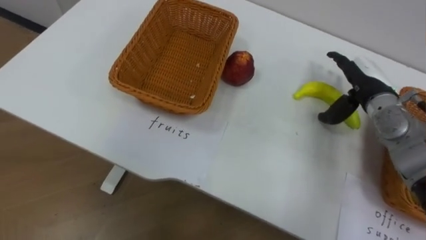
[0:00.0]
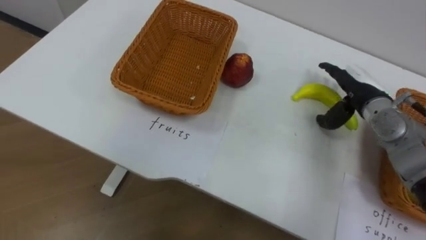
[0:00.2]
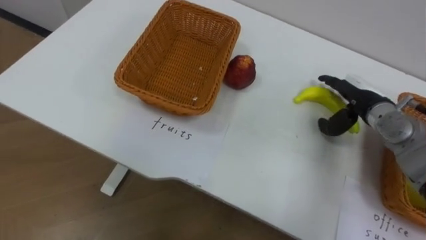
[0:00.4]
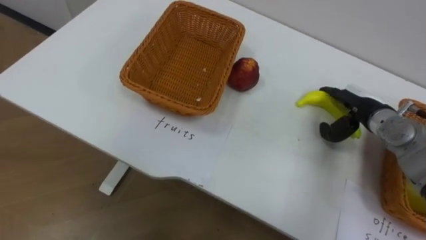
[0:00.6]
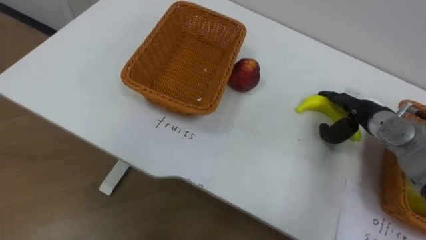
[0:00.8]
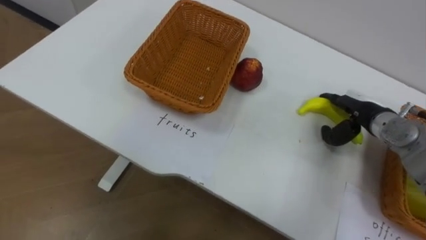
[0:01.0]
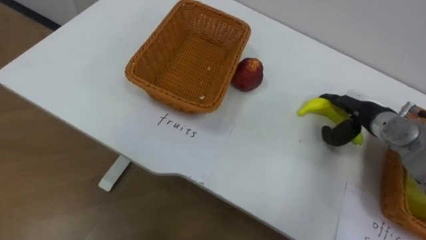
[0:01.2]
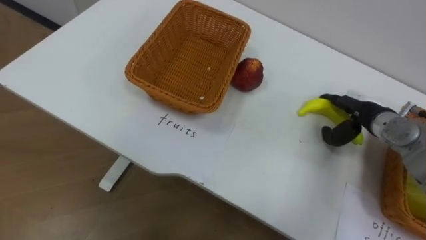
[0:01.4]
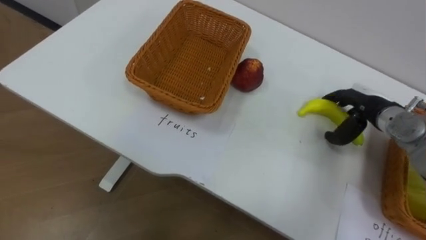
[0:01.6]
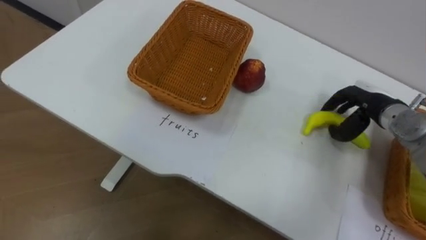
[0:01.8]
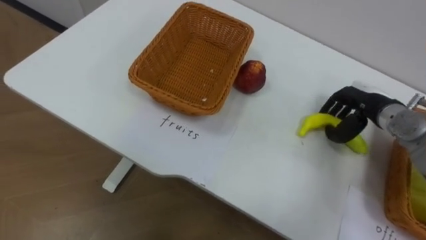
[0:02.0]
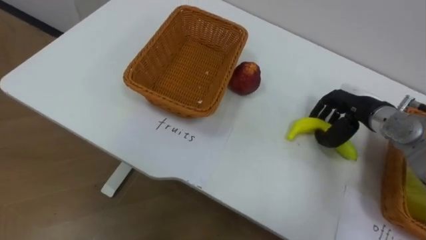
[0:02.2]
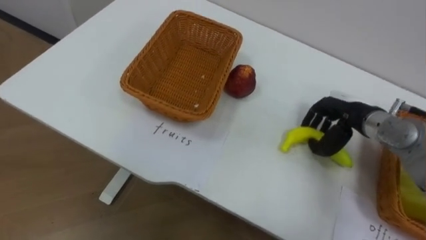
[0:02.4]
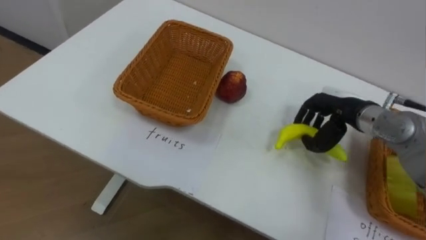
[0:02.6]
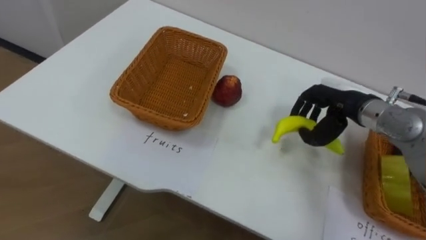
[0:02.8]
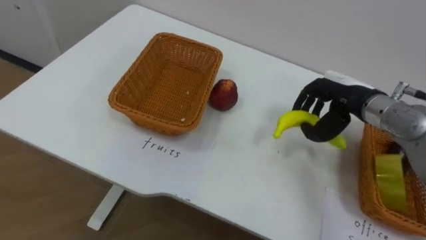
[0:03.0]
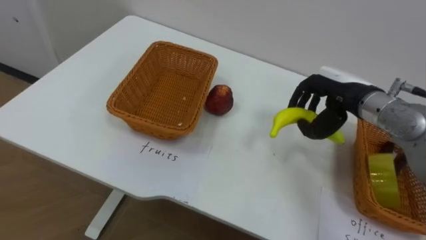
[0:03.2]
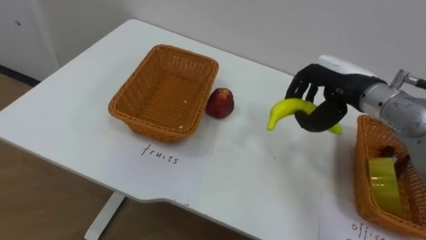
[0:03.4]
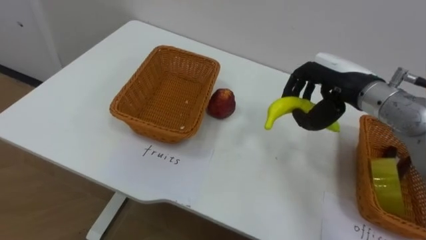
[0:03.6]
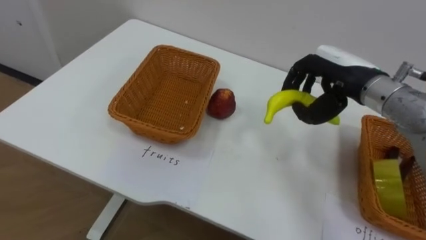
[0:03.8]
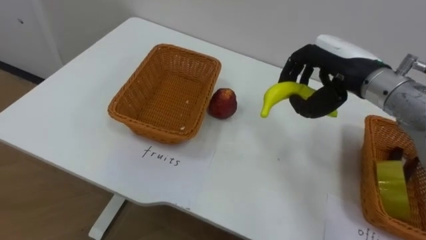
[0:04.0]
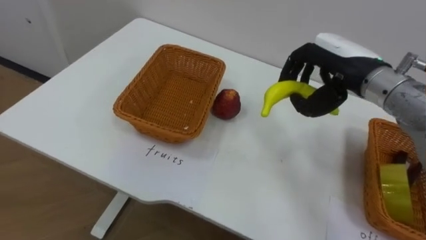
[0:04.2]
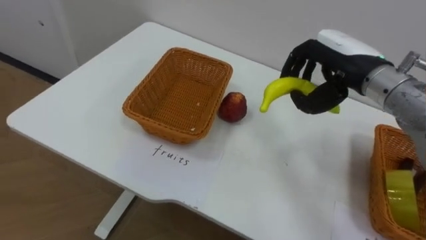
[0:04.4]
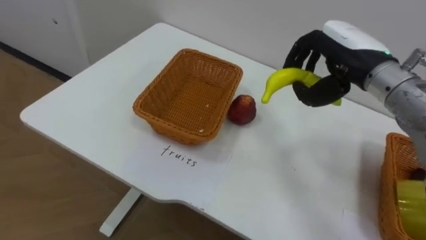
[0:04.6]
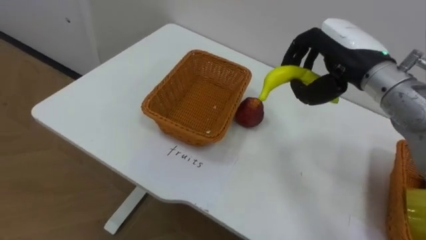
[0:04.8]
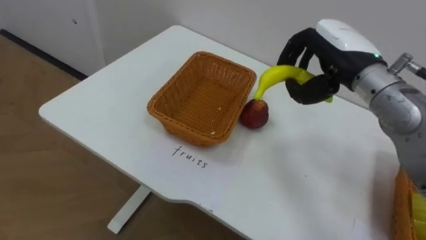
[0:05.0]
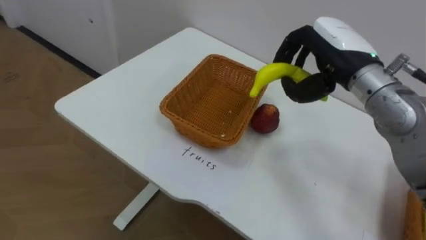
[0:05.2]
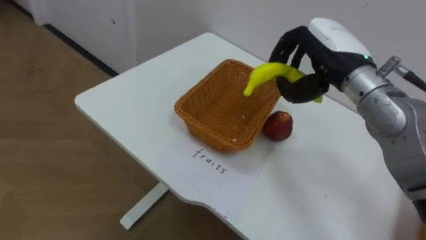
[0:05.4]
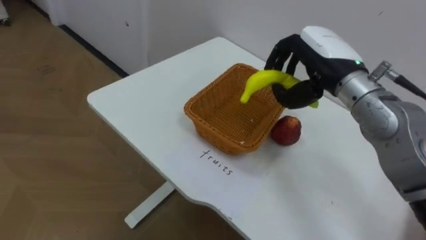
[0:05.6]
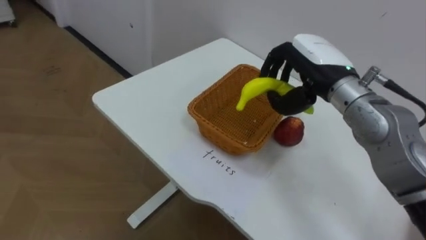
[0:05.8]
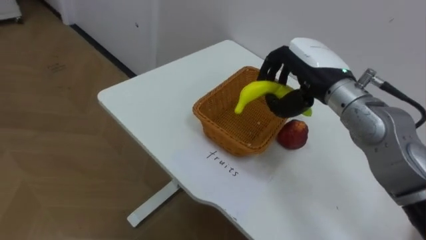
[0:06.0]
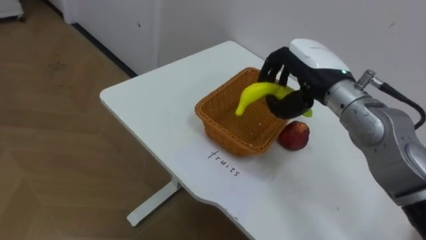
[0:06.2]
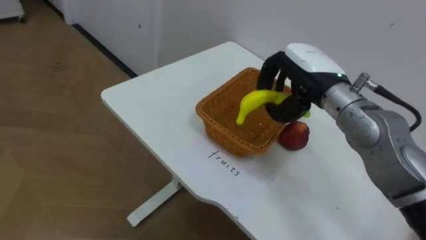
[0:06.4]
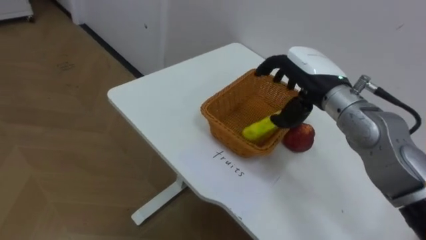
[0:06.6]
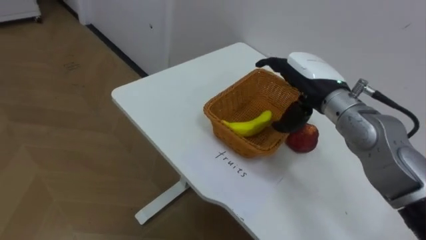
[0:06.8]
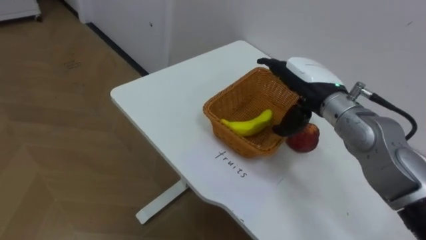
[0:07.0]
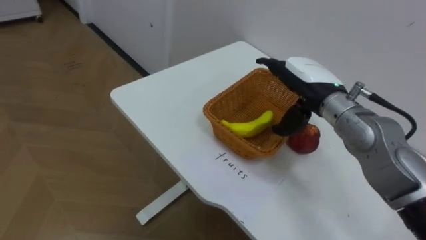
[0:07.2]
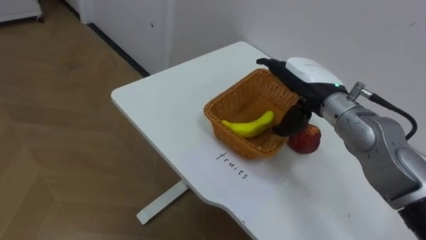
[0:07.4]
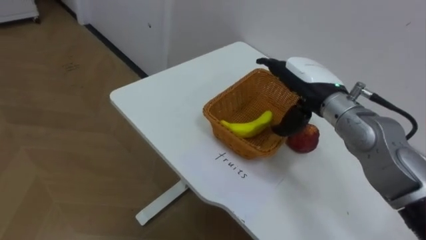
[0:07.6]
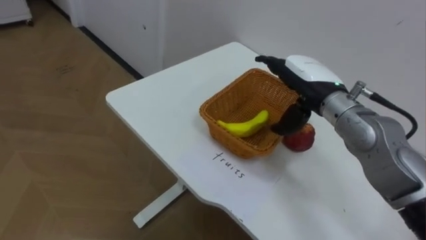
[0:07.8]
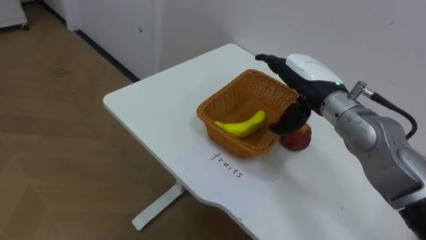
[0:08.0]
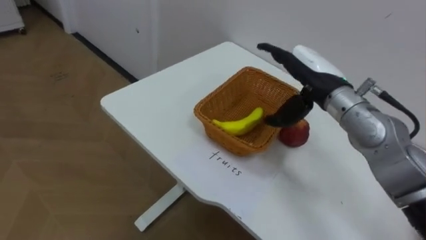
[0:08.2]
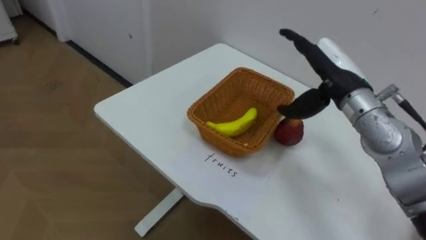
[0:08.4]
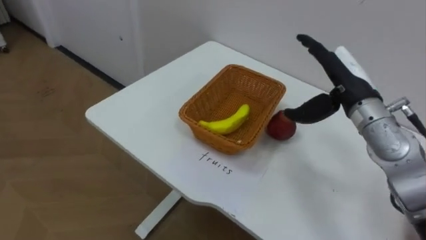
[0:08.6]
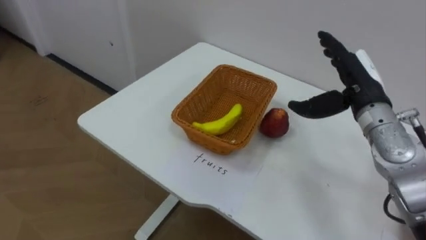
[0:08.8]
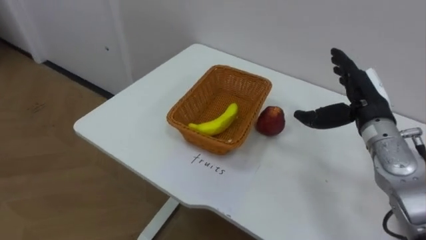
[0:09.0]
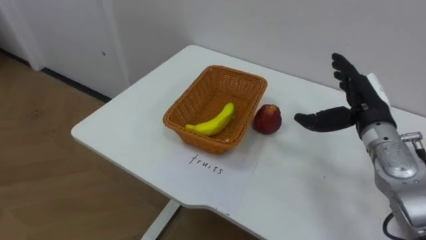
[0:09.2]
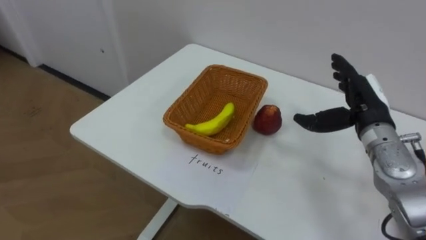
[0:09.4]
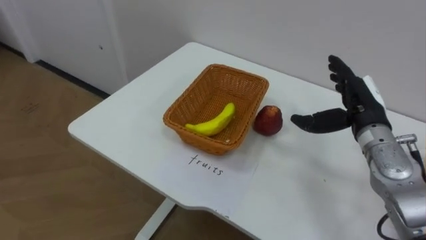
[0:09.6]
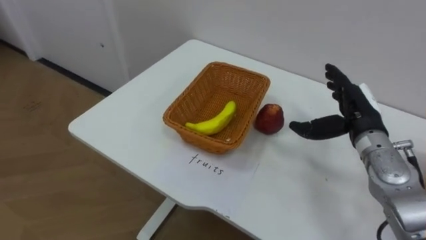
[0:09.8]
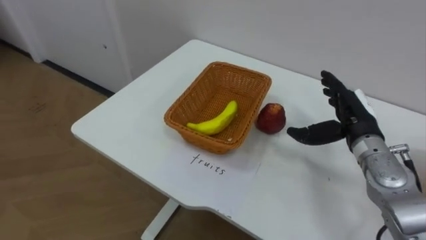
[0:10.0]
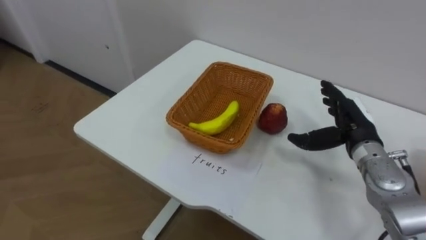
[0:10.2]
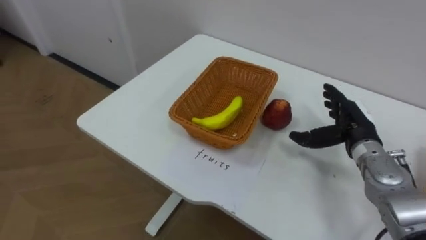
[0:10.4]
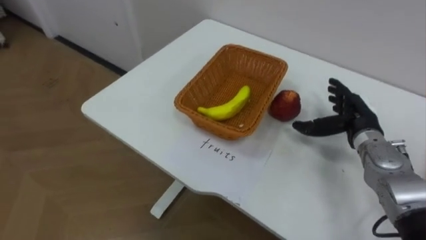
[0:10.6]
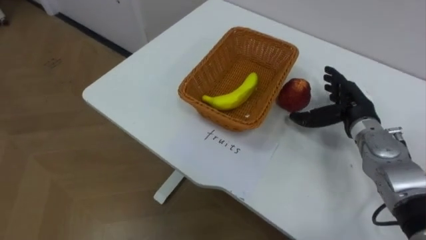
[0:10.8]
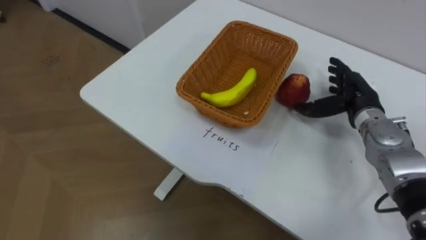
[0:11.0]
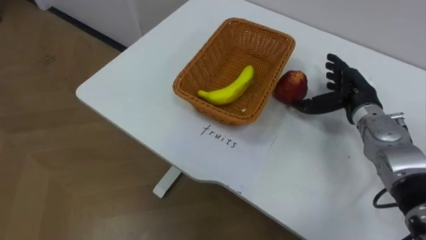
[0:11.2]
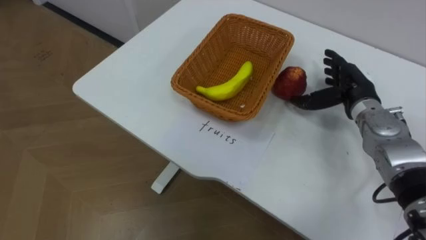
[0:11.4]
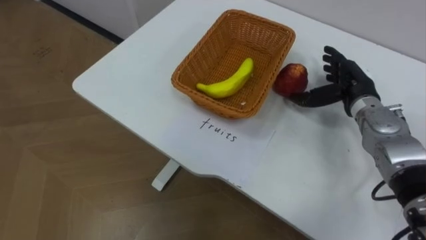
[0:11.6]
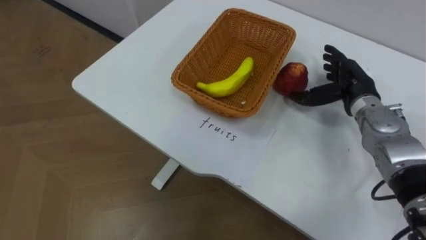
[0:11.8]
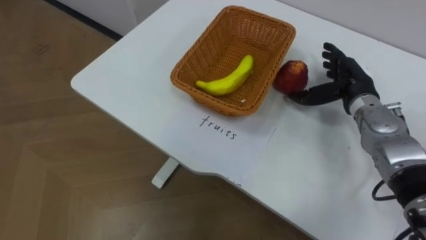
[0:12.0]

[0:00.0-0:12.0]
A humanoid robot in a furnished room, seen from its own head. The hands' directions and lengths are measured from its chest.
Task of the whole recording: Separate the items on the table and place them into the two baskets.
0:00.0 to 0:01.6: The right hand ends up some 5 cm from where it was.
0:01.6 to 0:03.0: The right hand moves to the left and upward, roughly 10 cm, and closes.
0:03.0 to 0:04.4: The right hand shifts approximately 10 cm upward.
0:06.0 to 0:07.6: The right hand opens up.
0:07.6 to 0:09.0: The right hand is displaced to the right by approximately 10 cm.
0:09.0 to 0:10.4: The right hand heads downward, covering approximately 5 cm.
0:10.4 to 0:12.0: The right hand travels forward by approximately 5 cm.

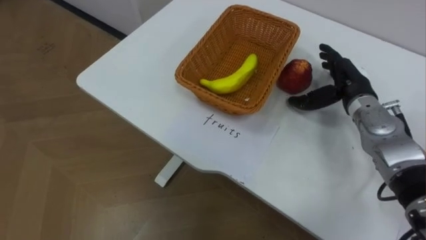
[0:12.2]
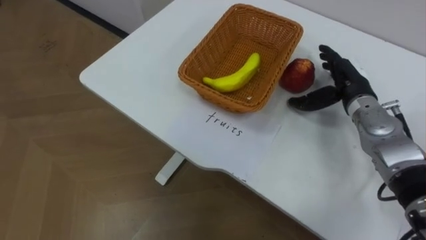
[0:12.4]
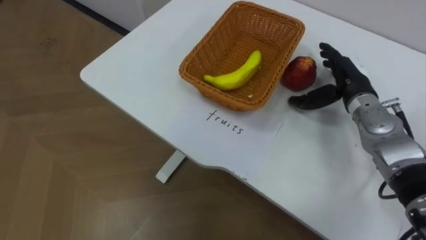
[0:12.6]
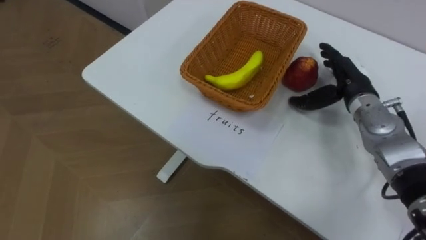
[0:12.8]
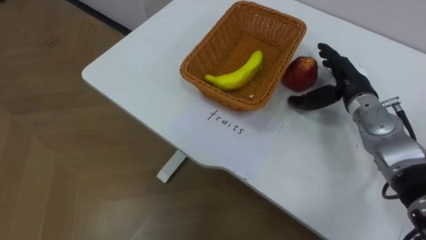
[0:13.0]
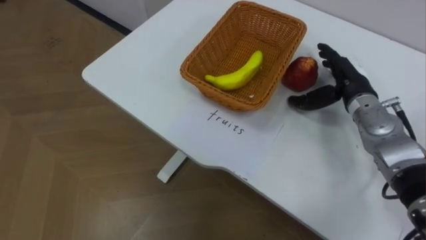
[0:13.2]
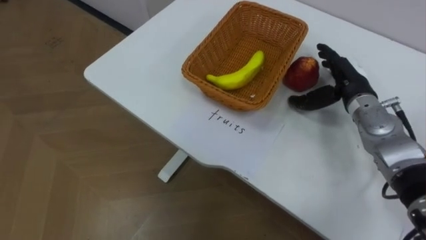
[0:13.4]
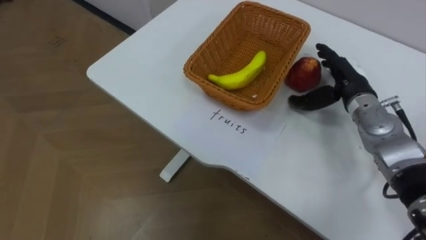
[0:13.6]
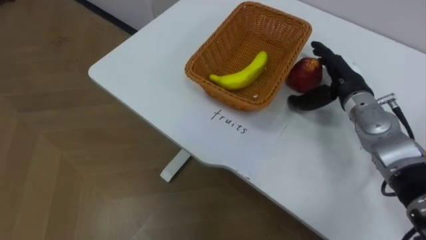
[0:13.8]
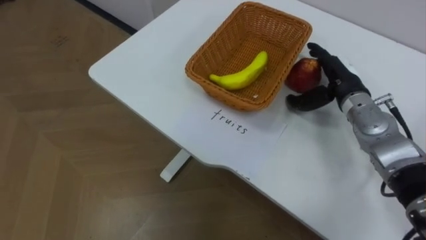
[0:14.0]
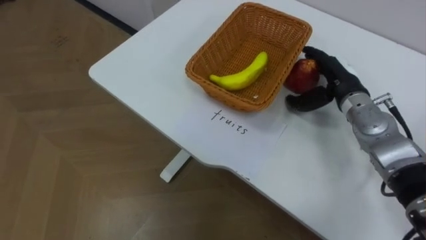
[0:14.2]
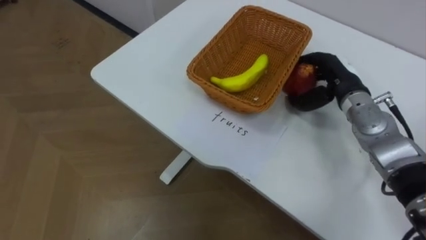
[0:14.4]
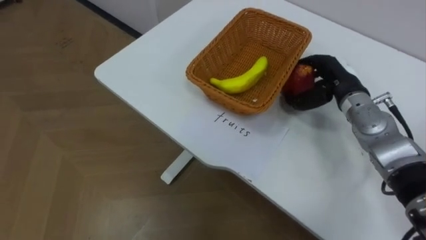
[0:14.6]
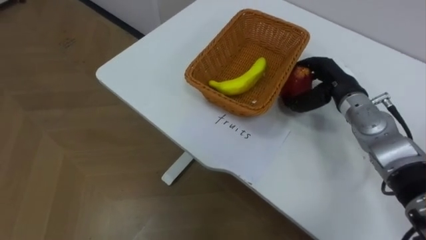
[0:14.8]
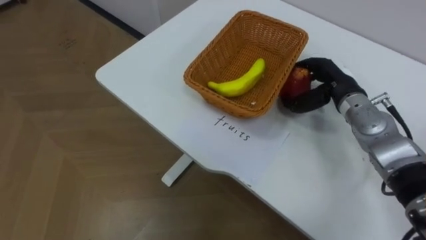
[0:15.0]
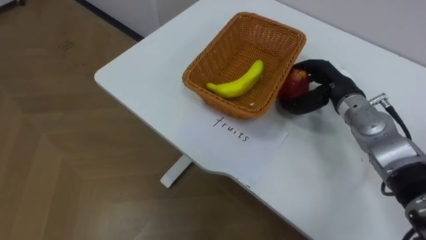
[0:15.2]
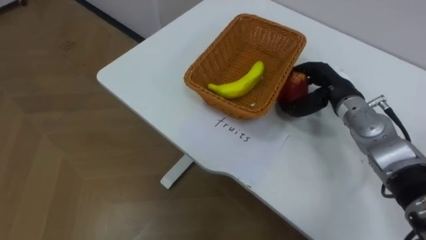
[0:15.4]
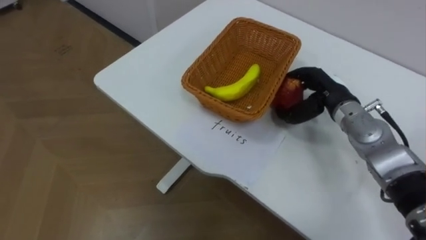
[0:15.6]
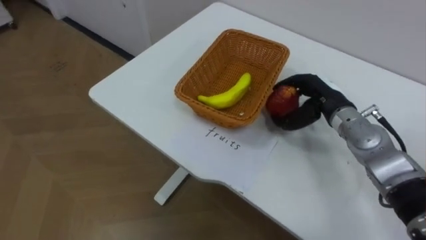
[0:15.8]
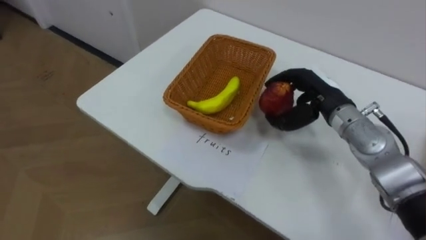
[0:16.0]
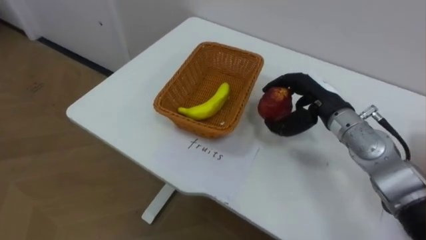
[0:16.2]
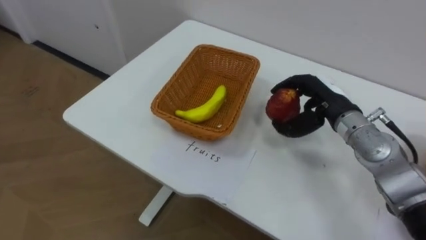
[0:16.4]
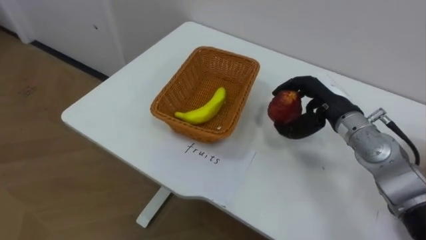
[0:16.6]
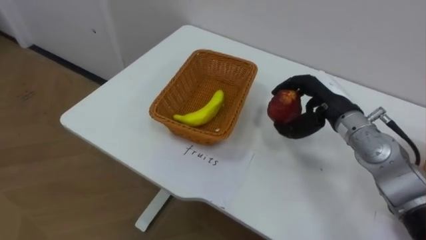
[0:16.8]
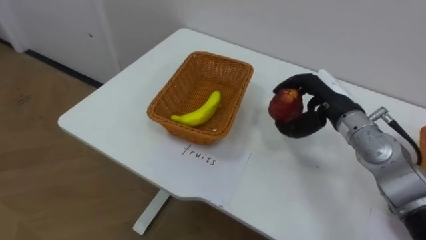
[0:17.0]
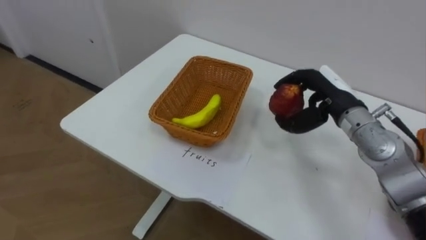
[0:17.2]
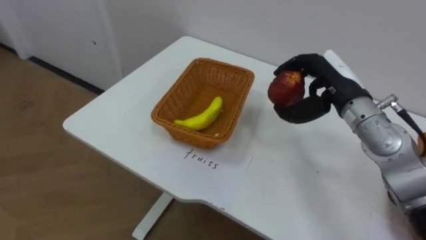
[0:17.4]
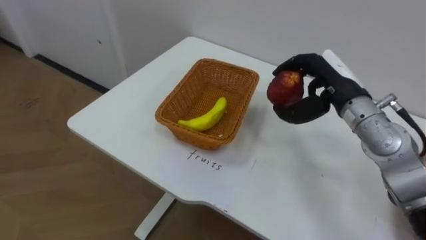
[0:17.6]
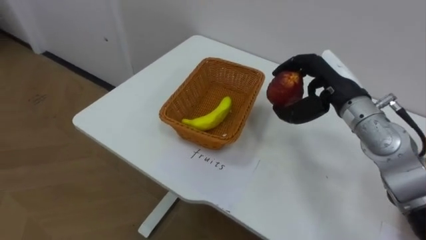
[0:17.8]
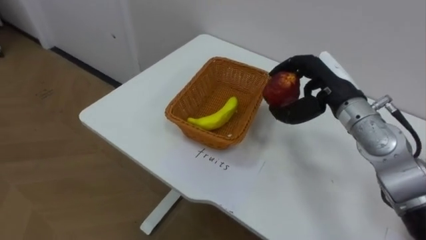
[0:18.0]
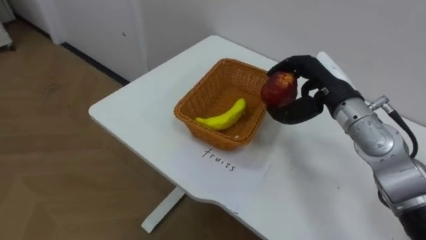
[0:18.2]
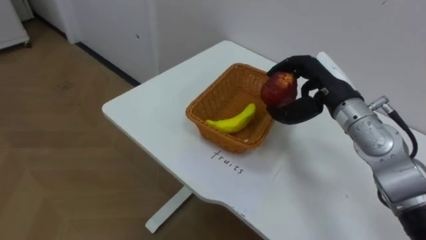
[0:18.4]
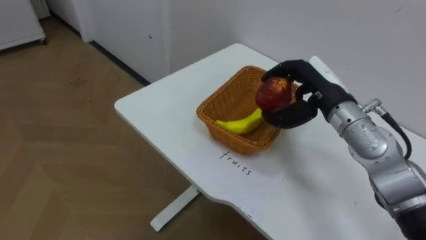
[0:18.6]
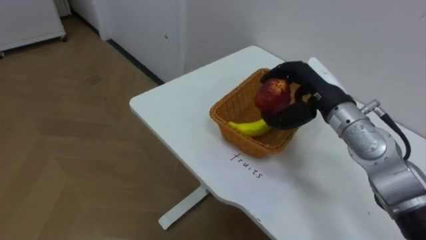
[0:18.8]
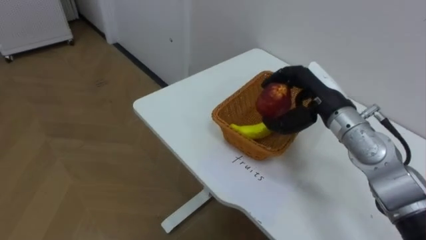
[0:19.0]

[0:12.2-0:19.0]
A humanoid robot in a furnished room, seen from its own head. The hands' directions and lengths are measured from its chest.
Task of the whole recording: Separate the items on the table and place them into the two baskets.
0:13.6 to 0:15.0: The right hand closes its fingers.
0:15.0 to 0:16.2: The right hand moves some 5 cm.
